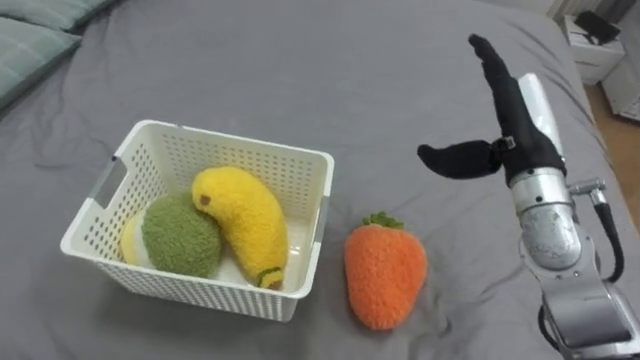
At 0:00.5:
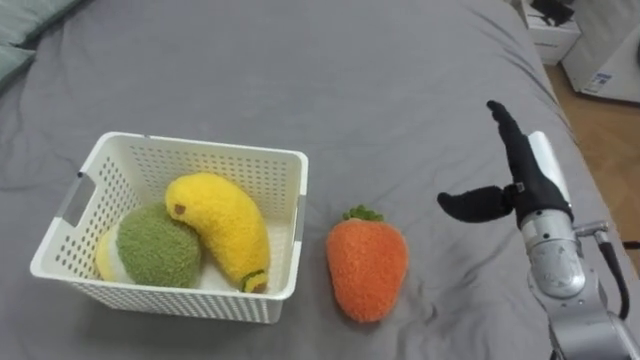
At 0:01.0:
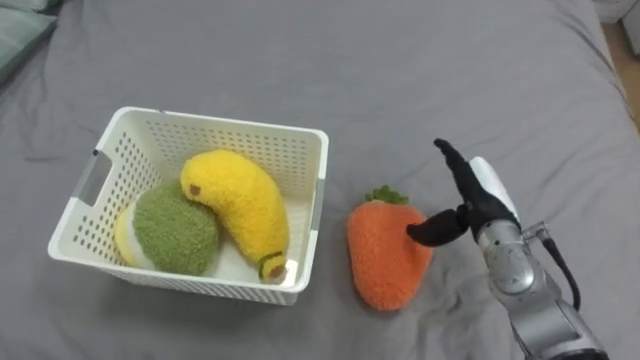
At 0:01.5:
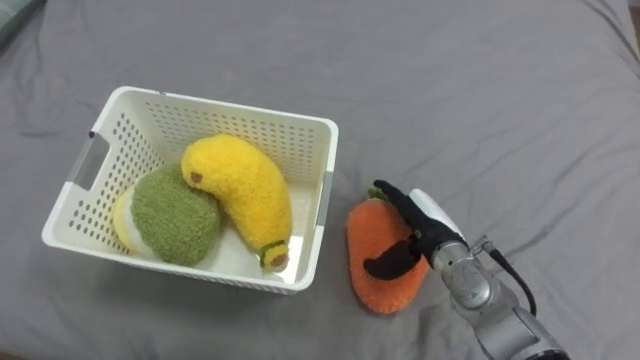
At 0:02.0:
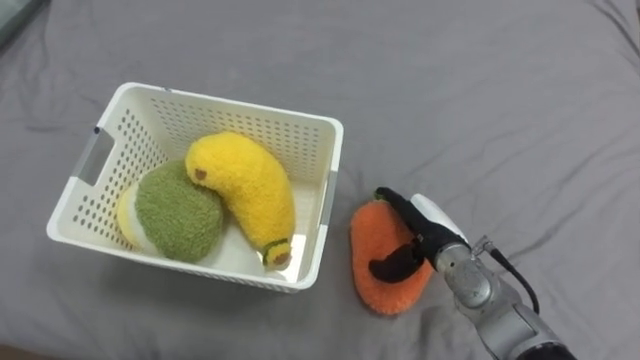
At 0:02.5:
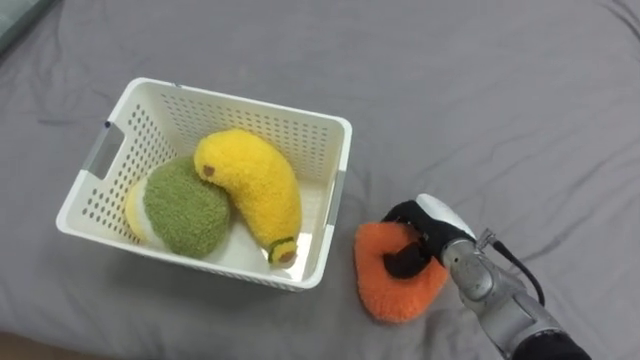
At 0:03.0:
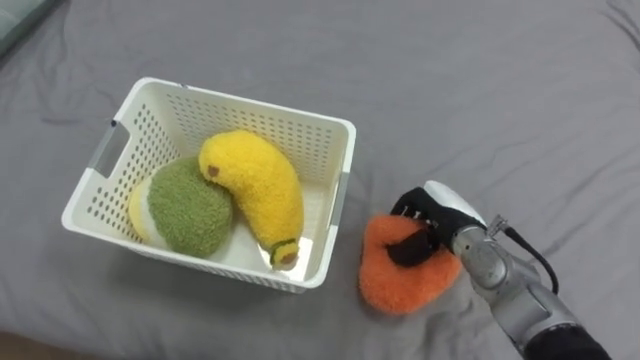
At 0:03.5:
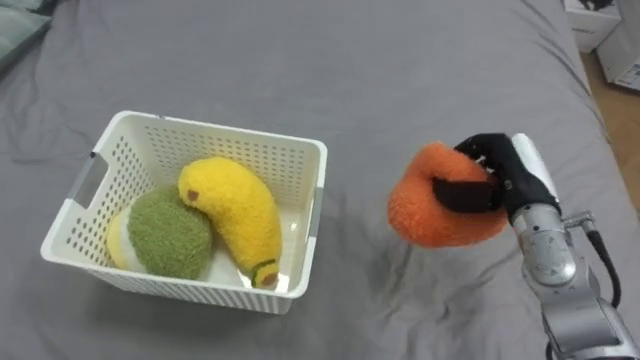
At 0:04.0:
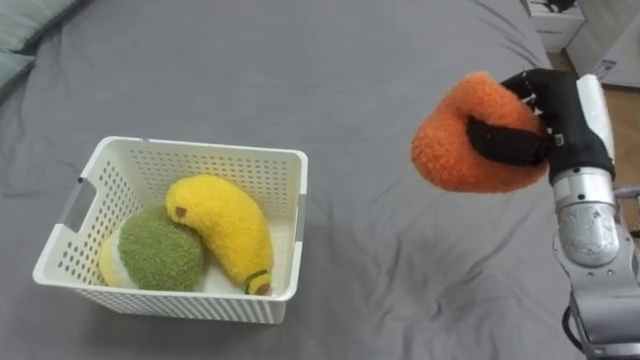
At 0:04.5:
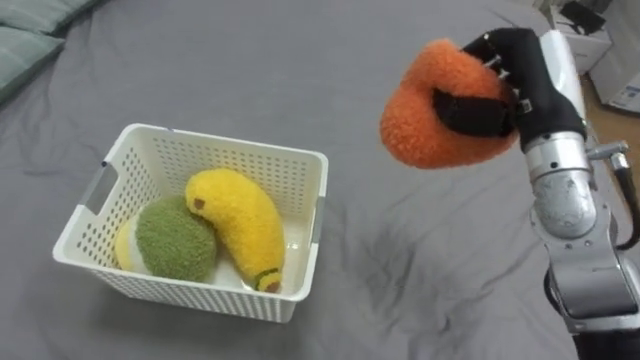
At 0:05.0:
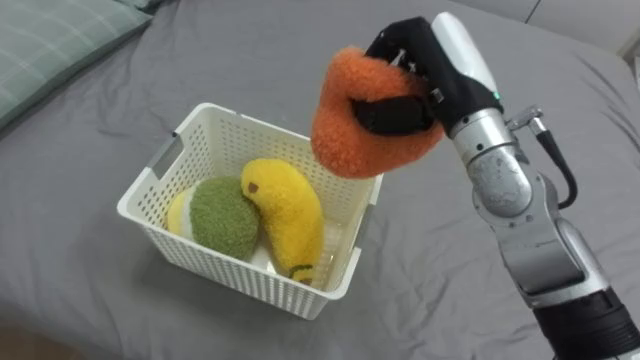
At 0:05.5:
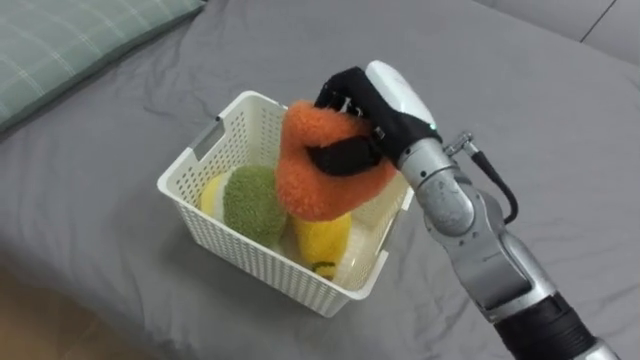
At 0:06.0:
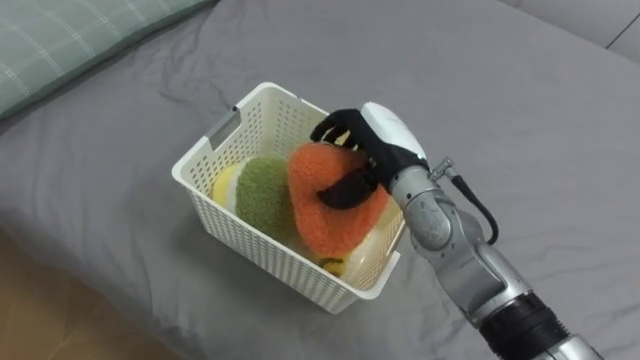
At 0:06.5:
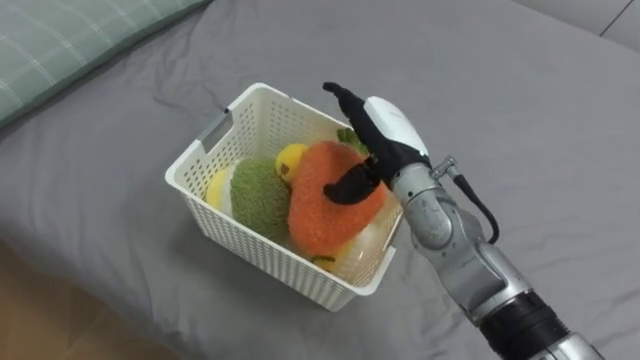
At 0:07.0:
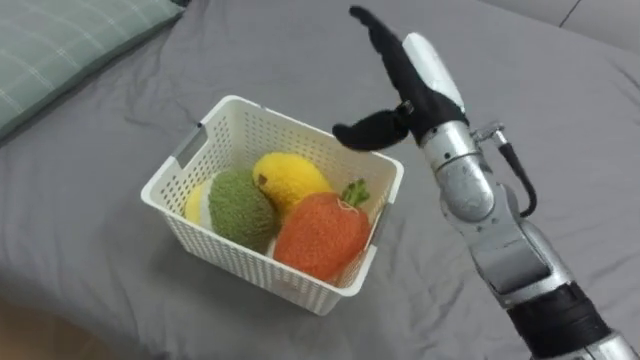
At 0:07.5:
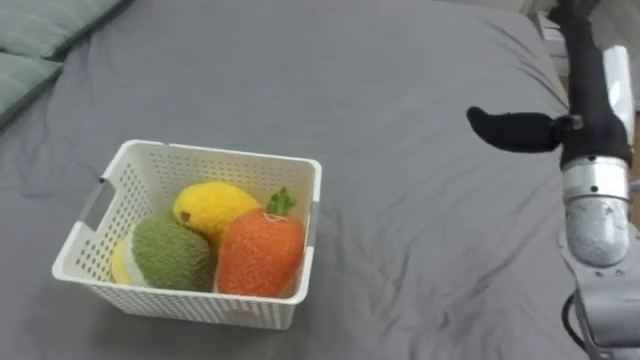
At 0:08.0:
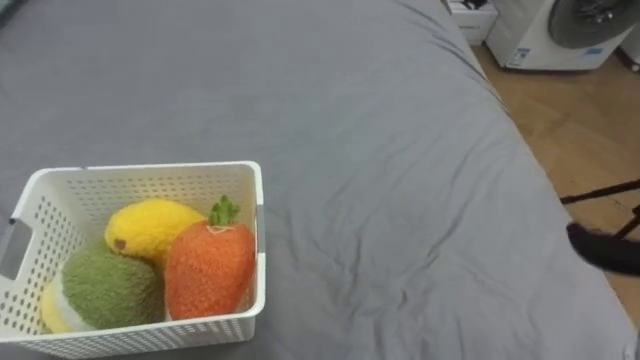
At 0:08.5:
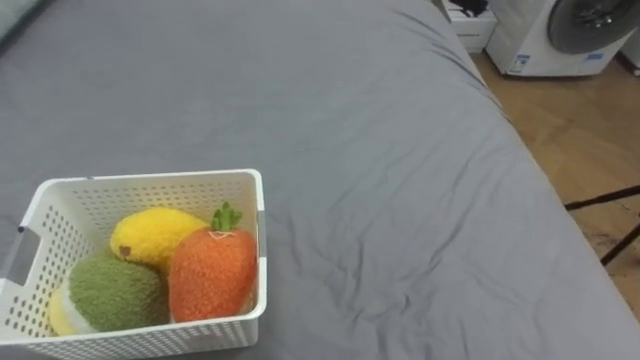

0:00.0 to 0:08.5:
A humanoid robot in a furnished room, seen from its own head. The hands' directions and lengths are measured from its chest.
Task of the whole recording: Put the toys on the bed into the basket on the left.
0:00.0 to 0:02.0: The right hand is displaced downward and to the left by some 20 cm.
0:02.0 to 0:04.0: The right hand shifts about 20 cm upward and to the right, and closes.
0:04.0 to 0:06.5: The right hand moves to the left, some 20 cm, and opens.

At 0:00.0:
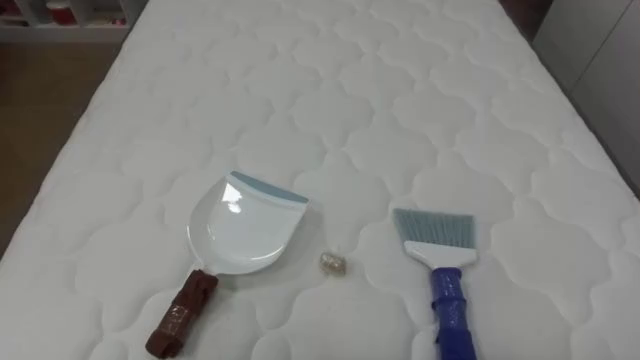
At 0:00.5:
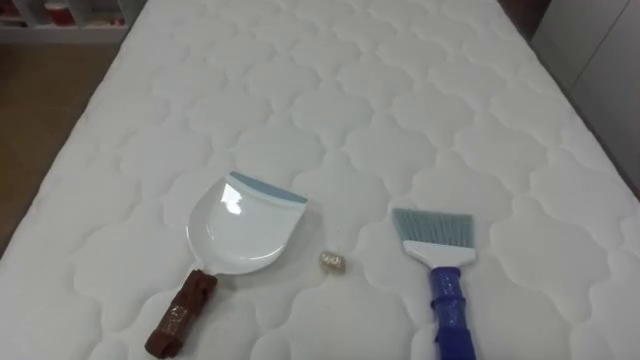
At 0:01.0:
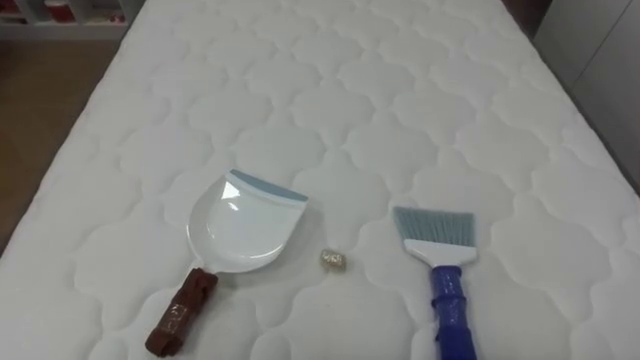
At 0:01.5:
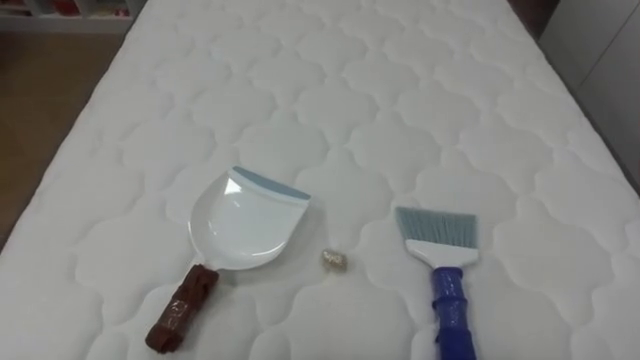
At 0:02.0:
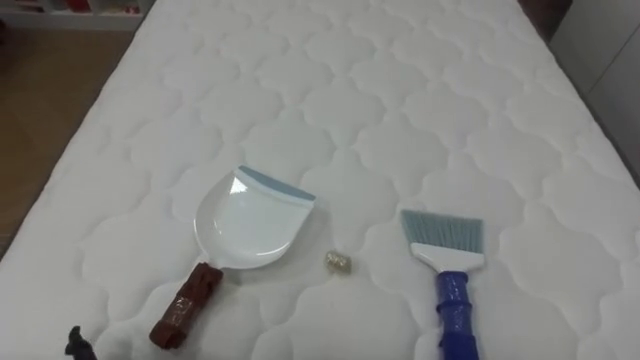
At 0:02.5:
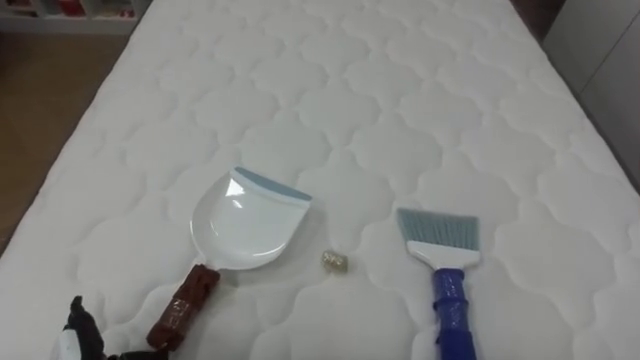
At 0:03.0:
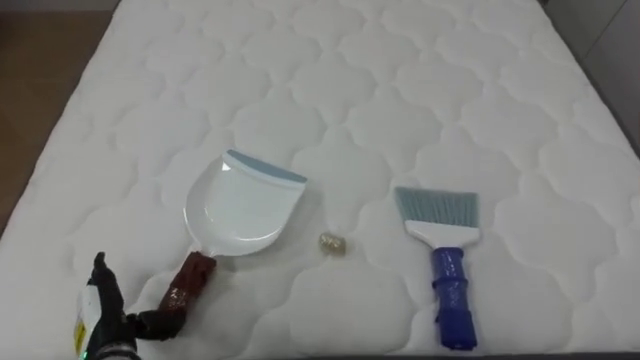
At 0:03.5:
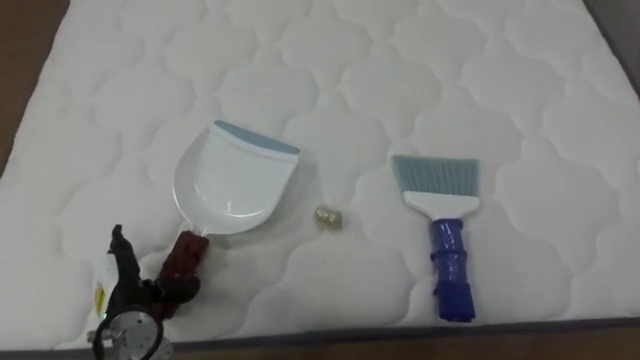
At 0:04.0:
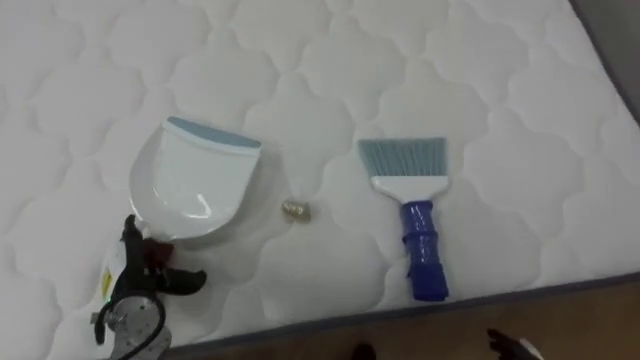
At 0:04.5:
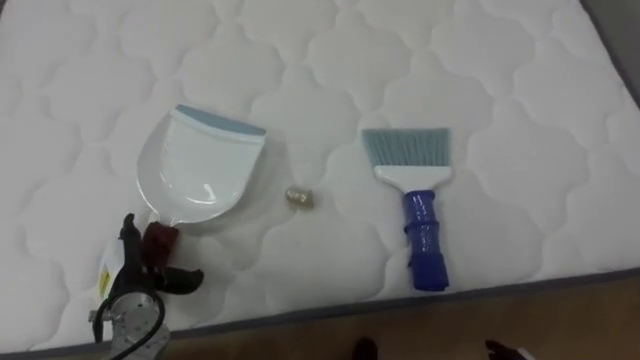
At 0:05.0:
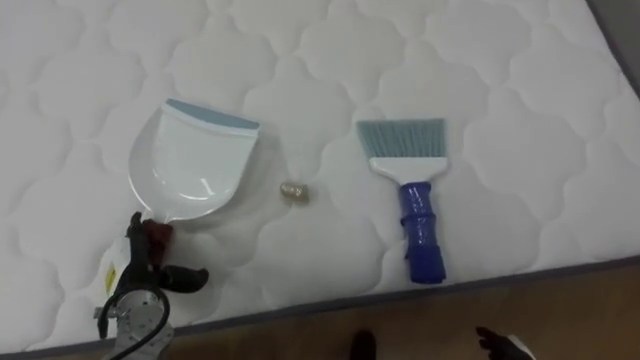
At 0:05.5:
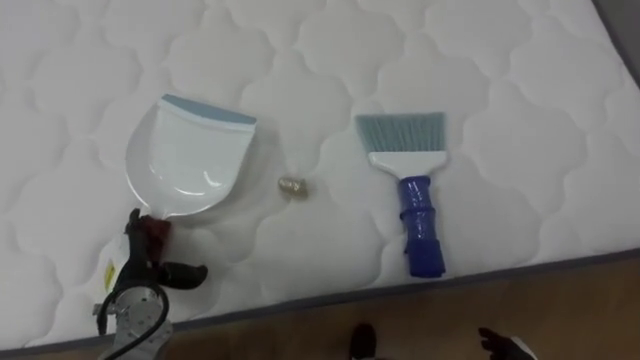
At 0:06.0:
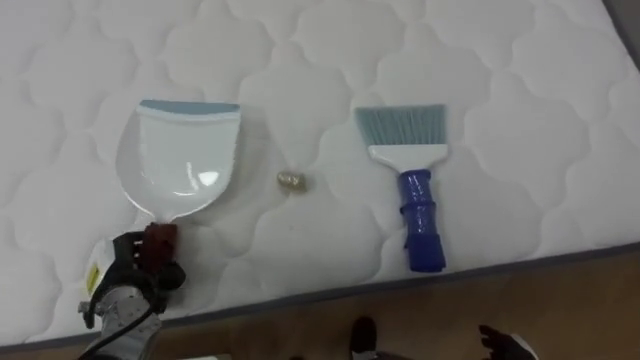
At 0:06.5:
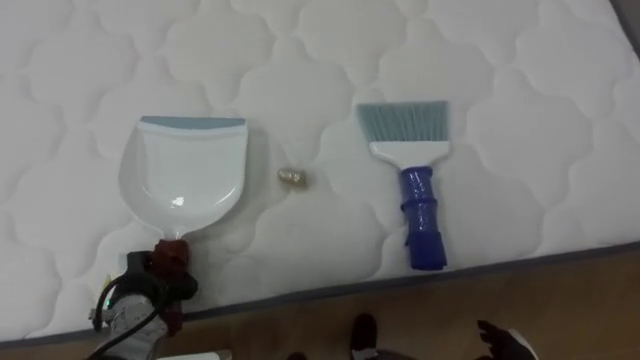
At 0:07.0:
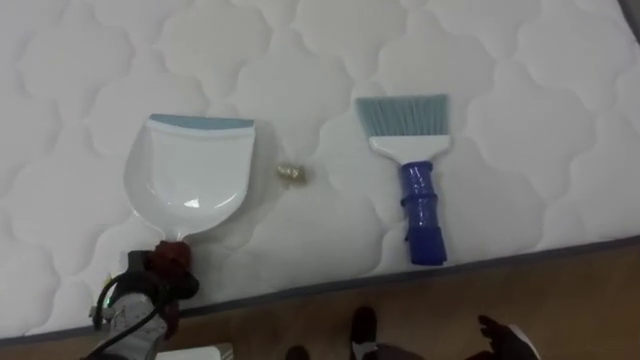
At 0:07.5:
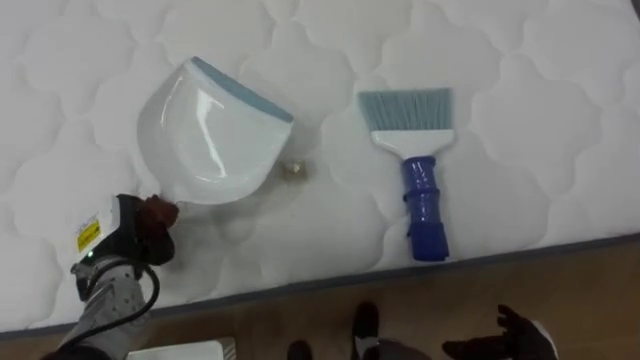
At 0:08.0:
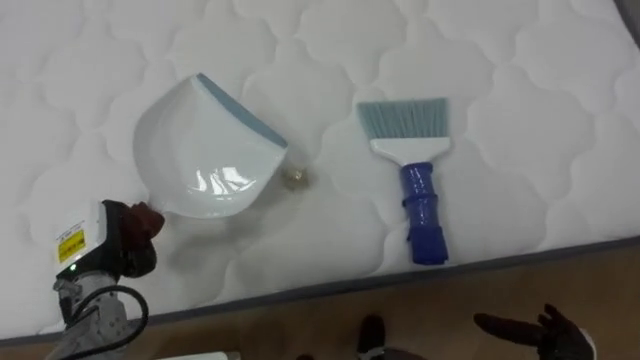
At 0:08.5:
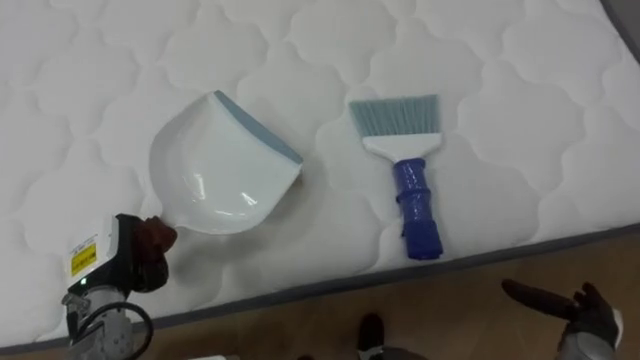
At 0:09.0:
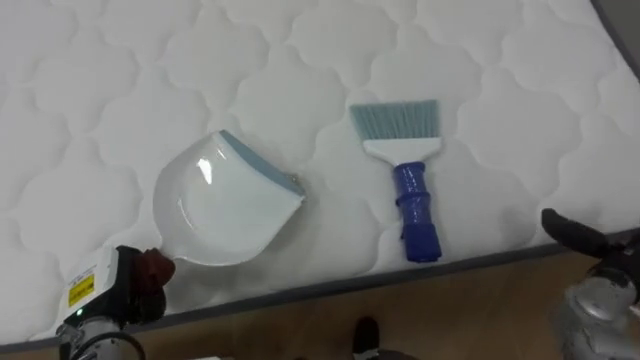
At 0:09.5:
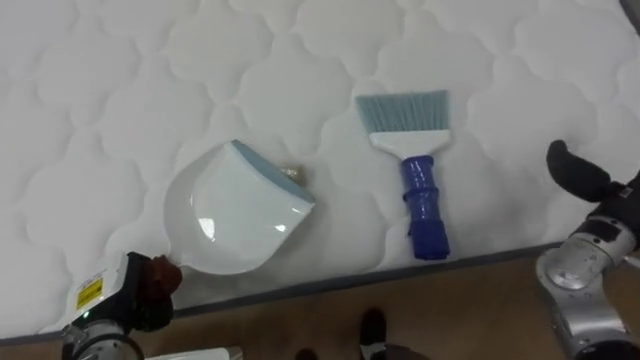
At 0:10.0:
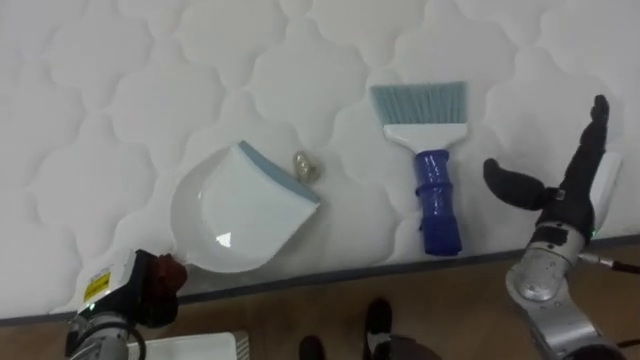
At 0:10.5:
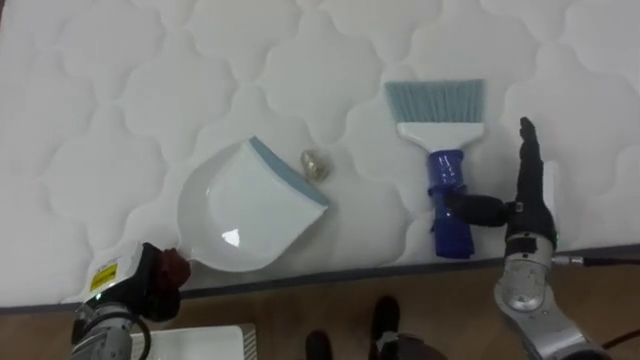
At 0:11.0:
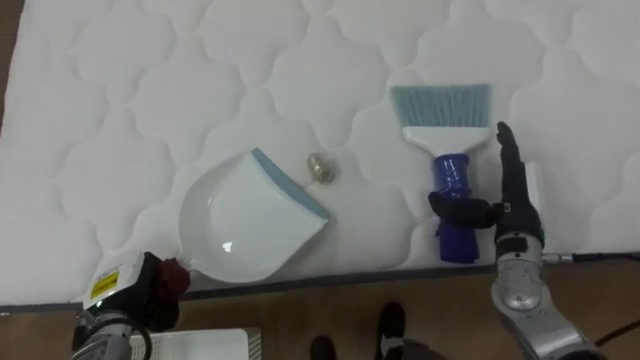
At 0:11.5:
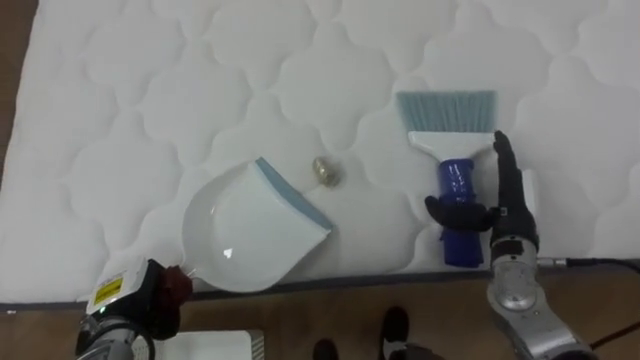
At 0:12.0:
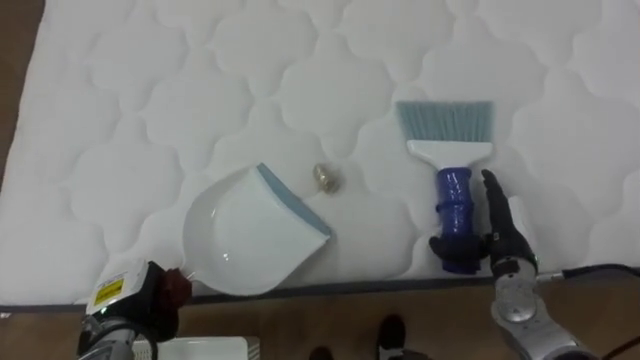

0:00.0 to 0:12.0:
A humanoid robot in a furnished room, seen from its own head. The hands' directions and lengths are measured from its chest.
Task of the whole recording: Pick up the brush on your right and the dustpan on your left. Use the brush to sweep the crumpled paper on the bed into the dustpan, then turn left and empty it into the basket.
0:04.0 to 0:06.0: The left hand closes its fingers.
0:06.0 to 0:08.0: The left hand heads upward, covering roughly 5 cm, and closes its fingers.
0:08.0 to 0:10.0: The left hand heads downward, covering approximately 5 cm. The right hand is displaced upward and forward by roughly 25 cm.
0:10.0 to 0:12.0: The right hand goes approximately 10 cm downward.
